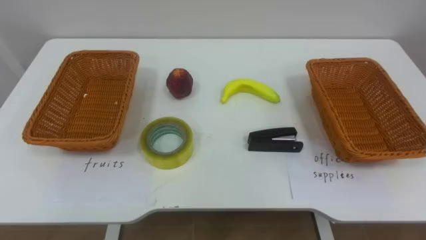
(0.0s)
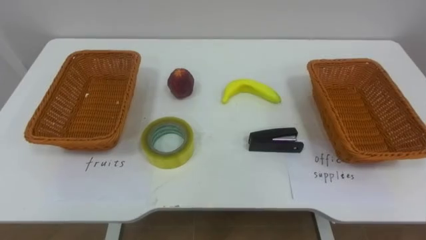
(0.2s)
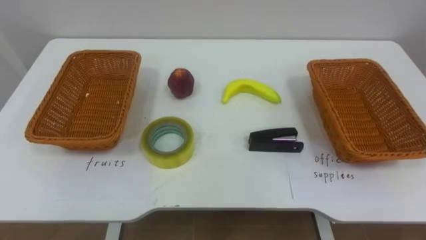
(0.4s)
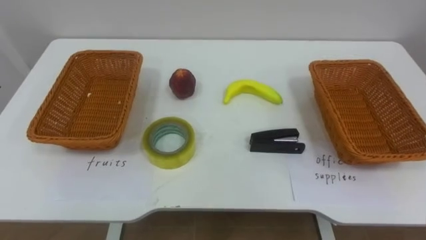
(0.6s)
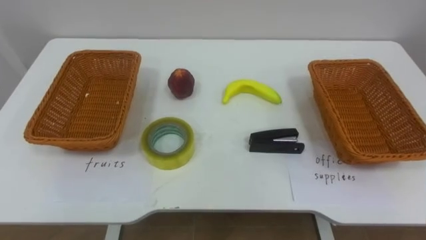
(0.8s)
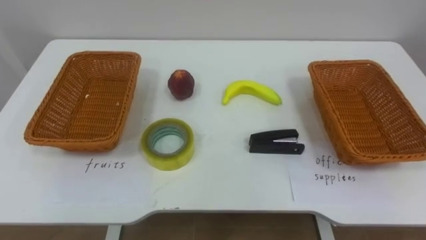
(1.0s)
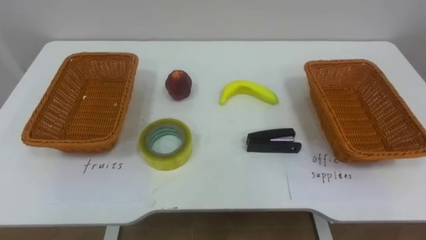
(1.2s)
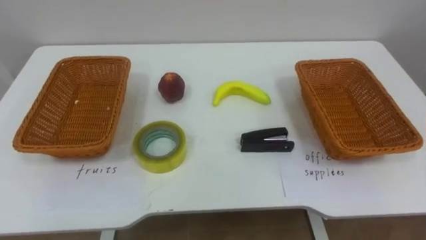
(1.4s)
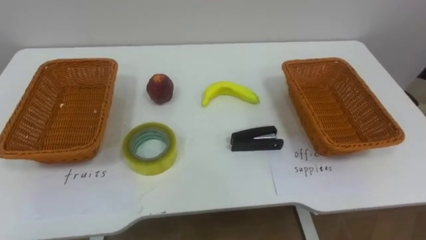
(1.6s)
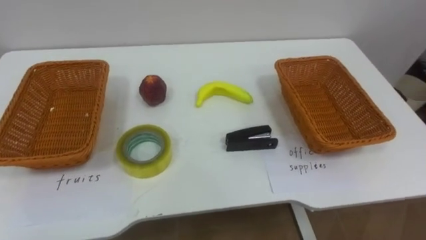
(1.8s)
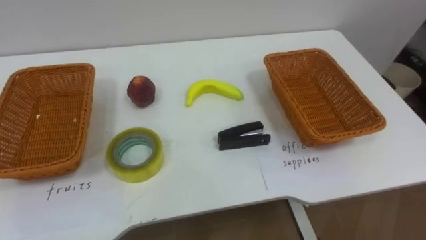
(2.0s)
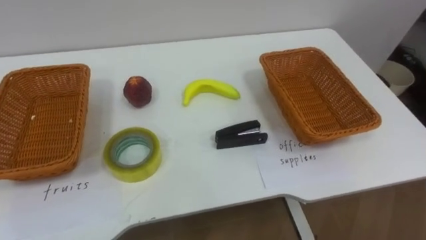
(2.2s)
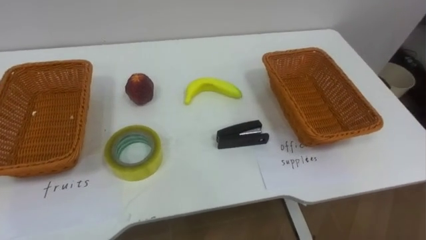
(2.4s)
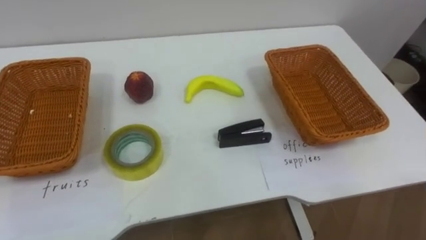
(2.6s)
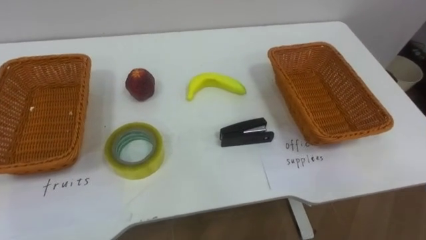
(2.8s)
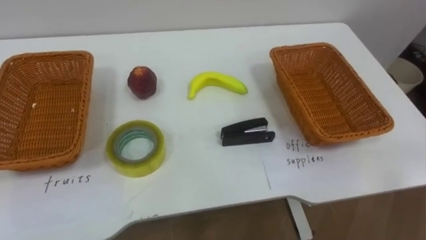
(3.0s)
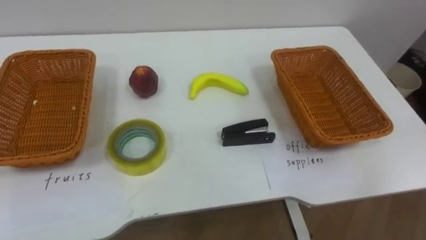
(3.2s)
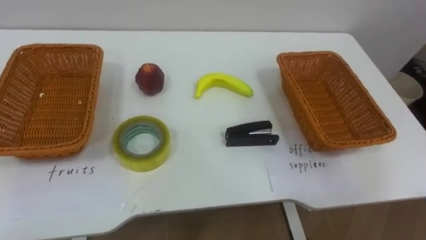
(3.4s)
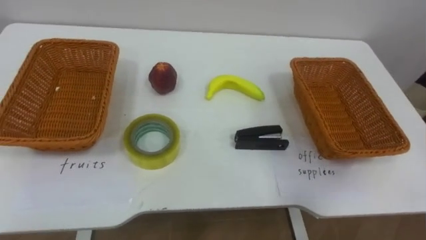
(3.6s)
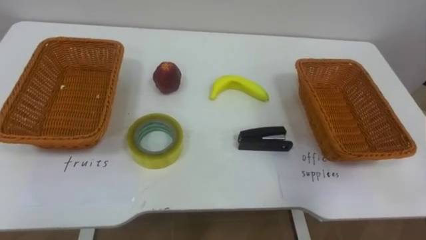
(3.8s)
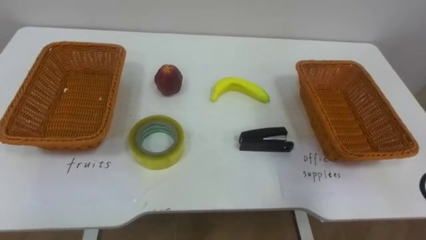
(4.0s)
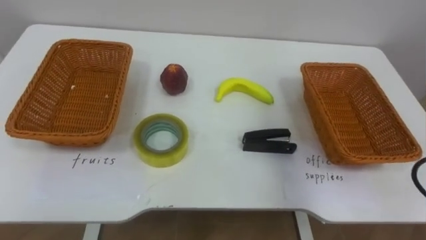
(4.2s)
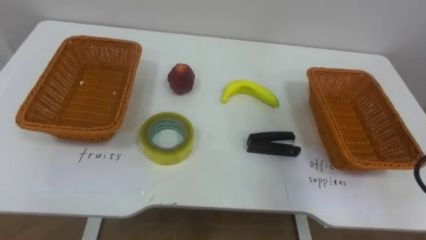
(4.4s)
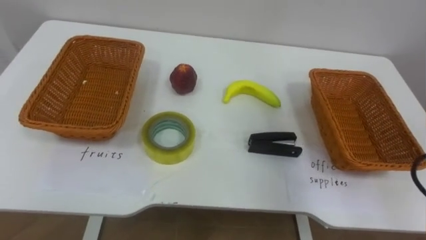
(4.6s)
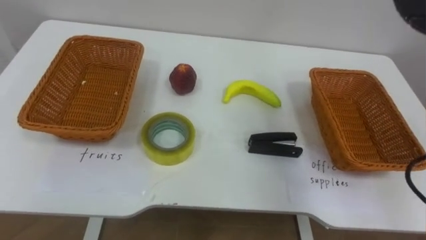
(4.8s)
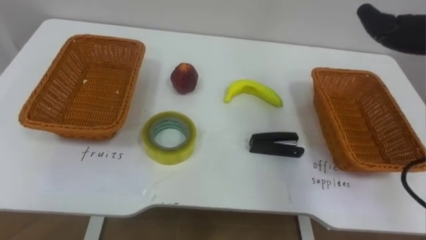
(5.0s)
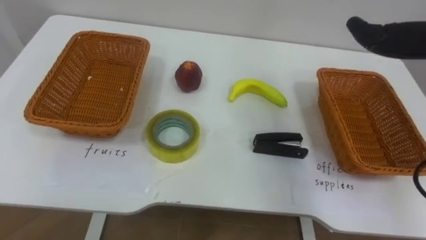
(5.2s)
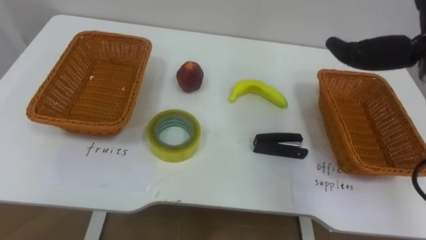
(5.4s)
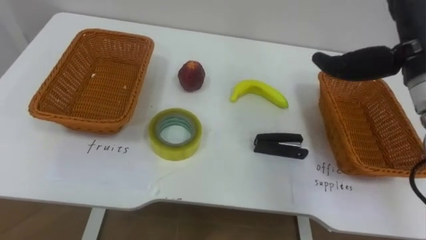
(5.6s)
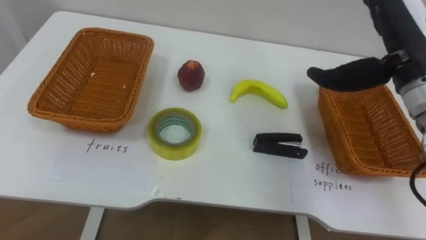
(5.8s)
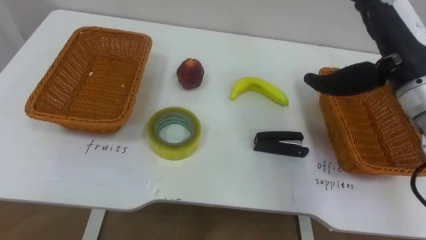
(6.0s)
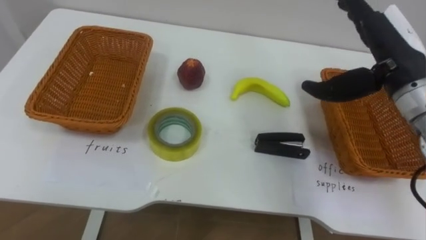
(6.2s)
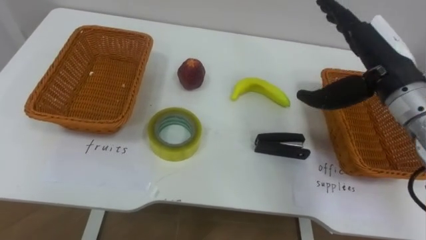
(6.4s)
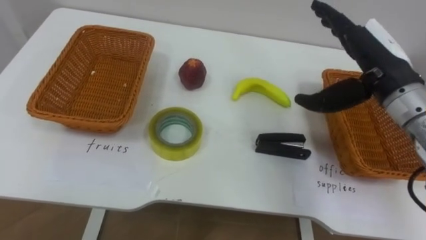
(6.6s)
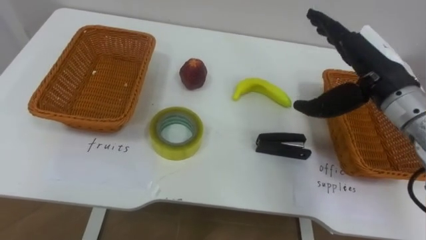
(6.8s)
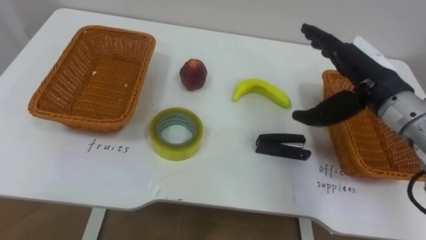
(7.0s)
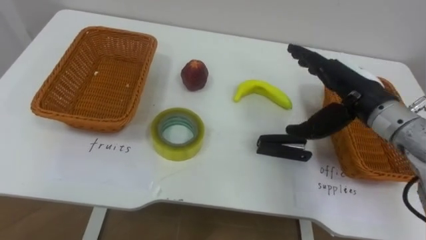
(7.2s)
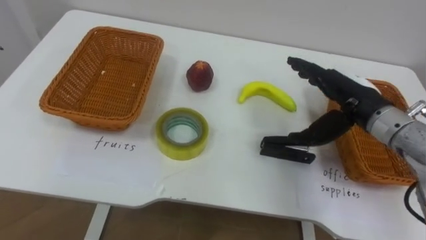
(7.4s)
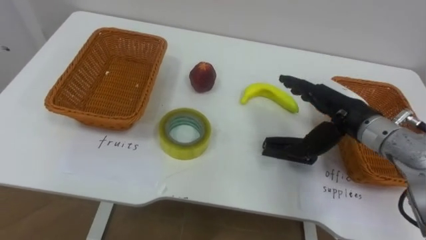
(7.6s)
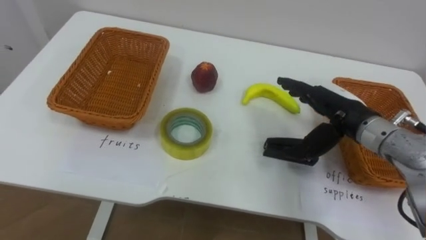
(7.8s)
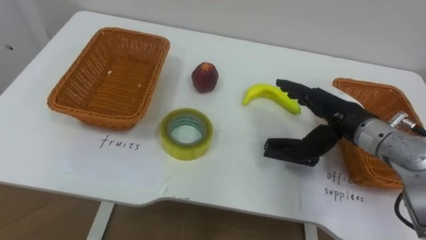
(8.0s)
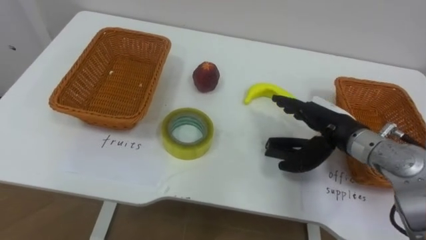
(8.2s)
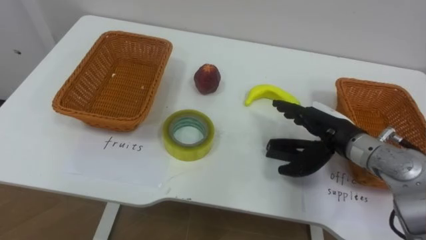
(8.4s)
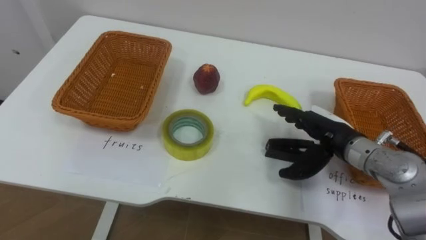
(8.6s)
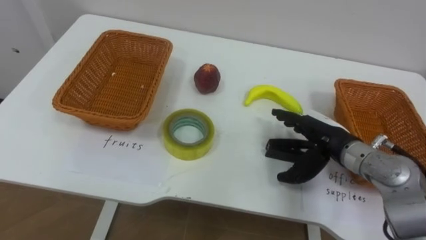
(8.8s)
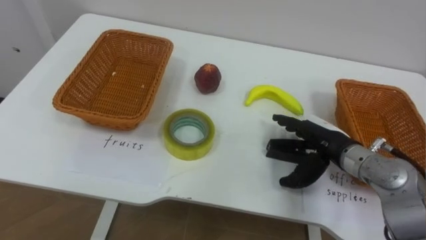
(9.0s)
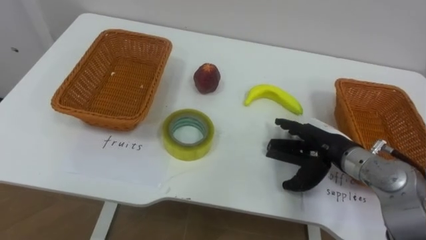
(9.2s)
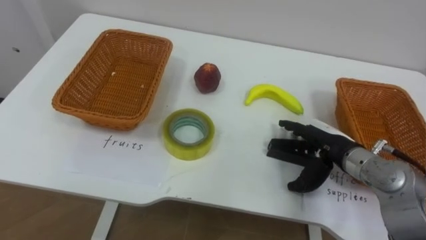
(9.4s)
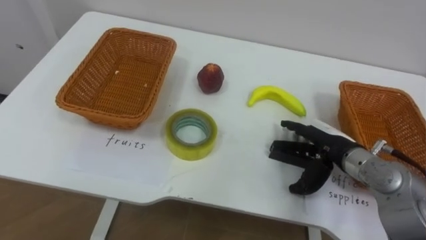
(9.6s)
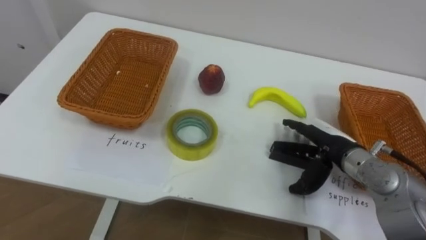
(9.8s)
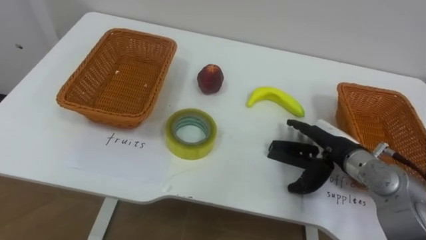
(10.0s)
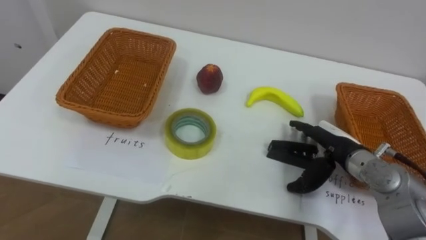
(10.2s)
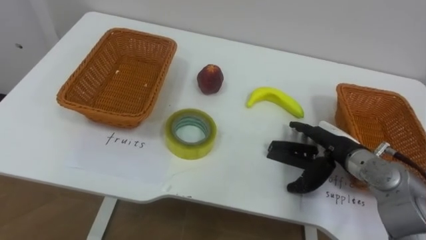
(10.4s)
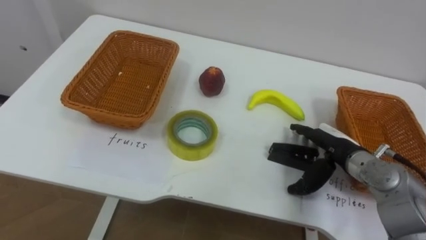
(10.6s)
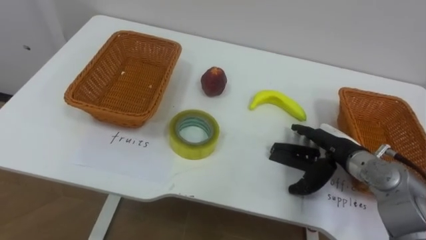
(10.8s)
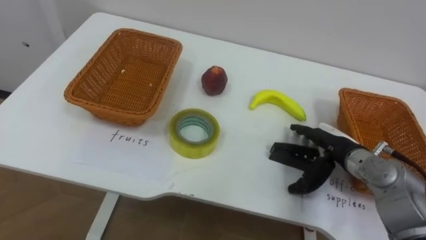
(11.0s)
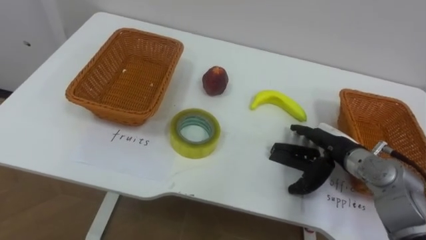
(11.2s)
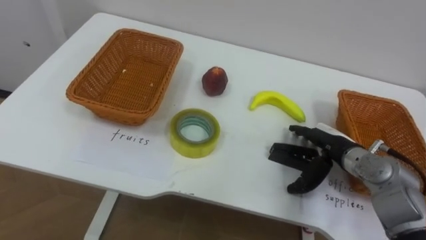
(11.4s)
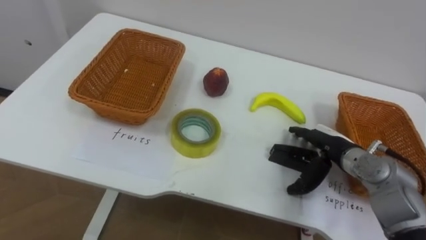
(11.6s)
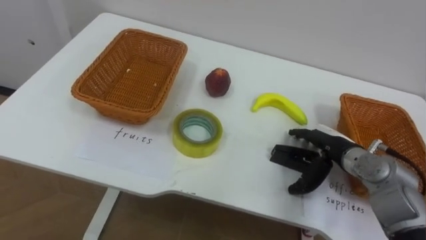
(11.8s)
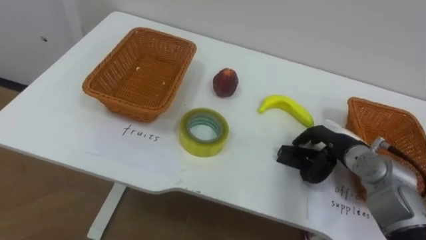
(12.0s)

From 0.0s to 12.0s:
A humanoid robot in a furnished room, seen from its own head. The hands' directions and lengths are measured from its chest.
Task of the whole recording: Separate the items on the table and place them into the two baskets.
From 6.0s to 7.6s: The right hand moves downward, some 10 cm.
From 7.6s to 9.0s: The right hand shifts some 5 cm downward.

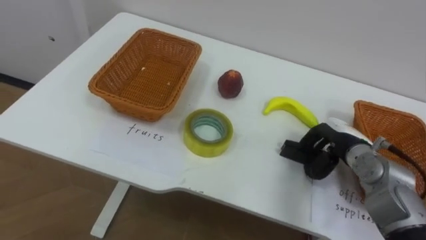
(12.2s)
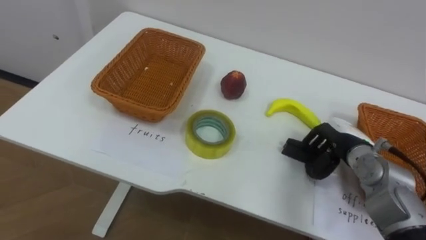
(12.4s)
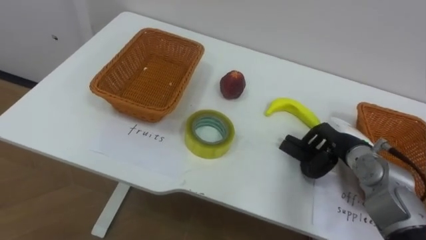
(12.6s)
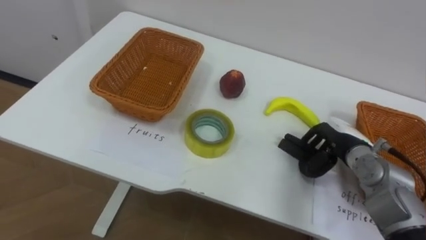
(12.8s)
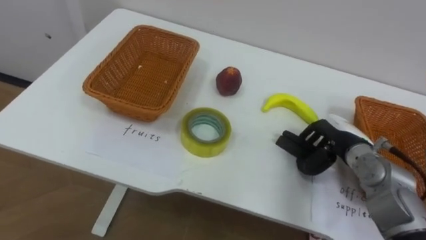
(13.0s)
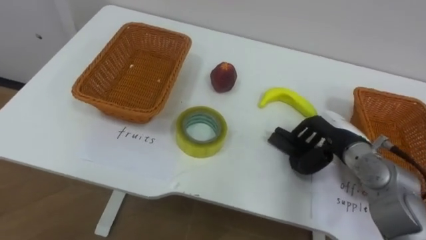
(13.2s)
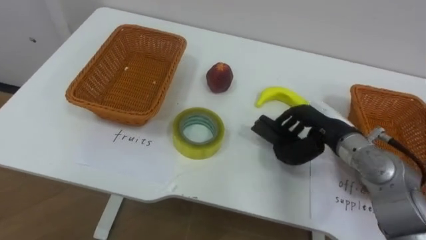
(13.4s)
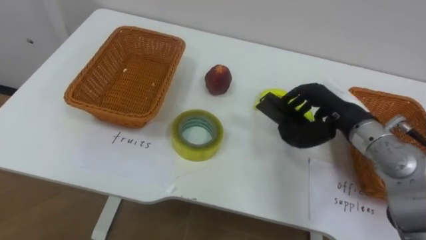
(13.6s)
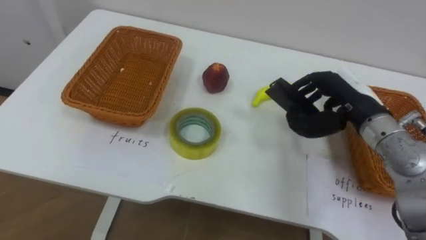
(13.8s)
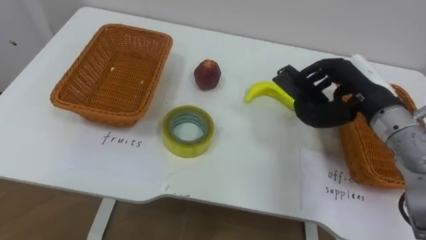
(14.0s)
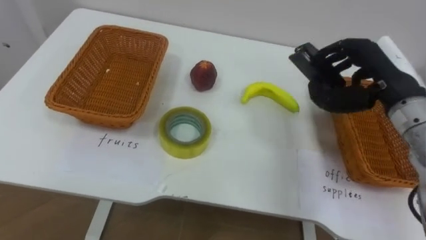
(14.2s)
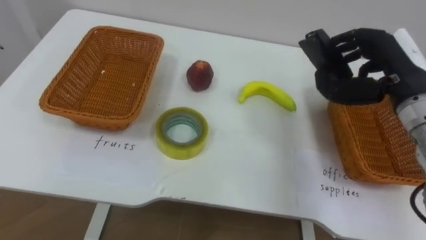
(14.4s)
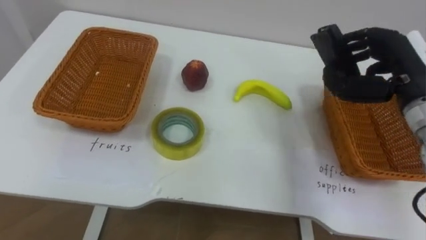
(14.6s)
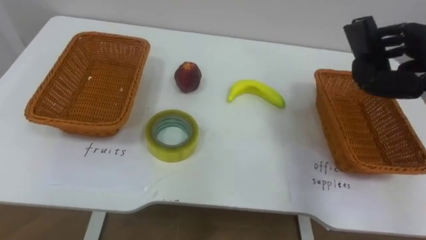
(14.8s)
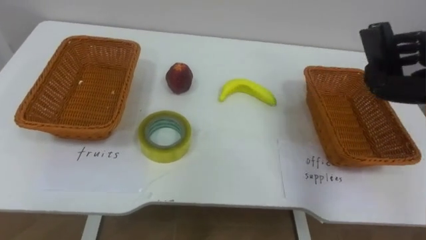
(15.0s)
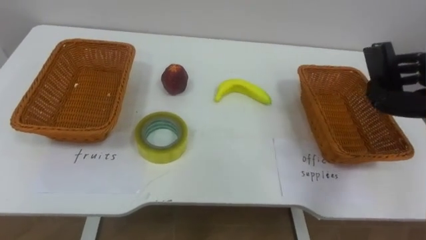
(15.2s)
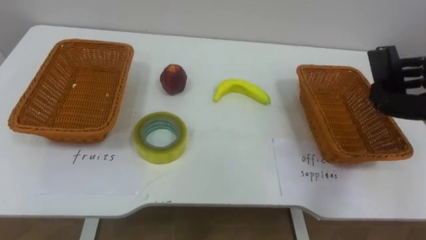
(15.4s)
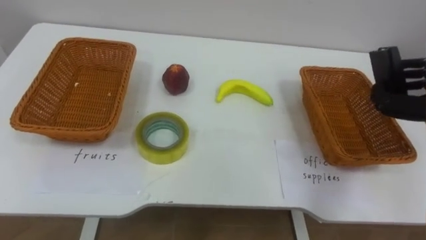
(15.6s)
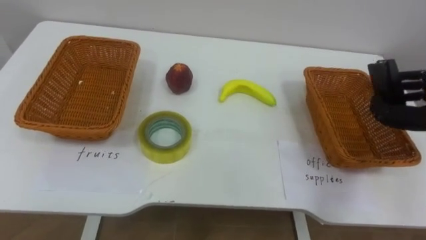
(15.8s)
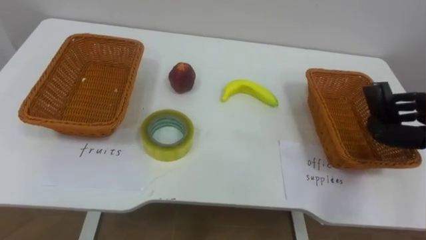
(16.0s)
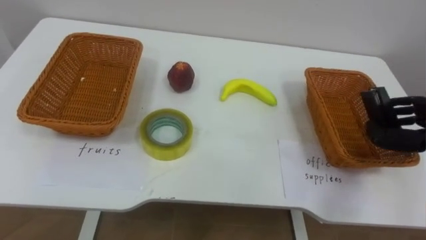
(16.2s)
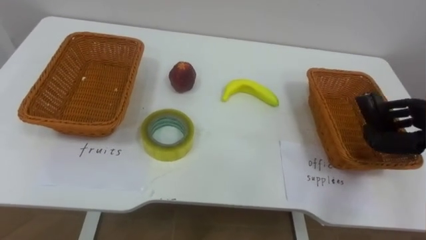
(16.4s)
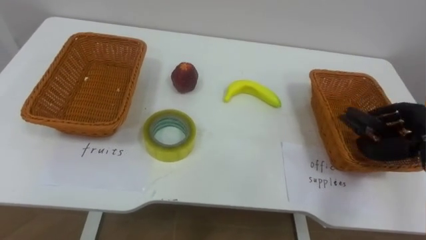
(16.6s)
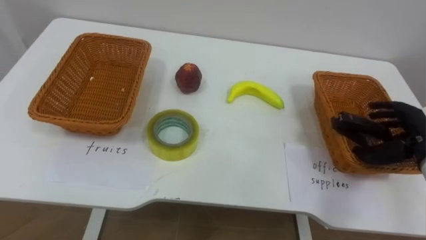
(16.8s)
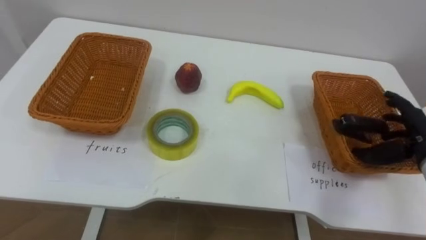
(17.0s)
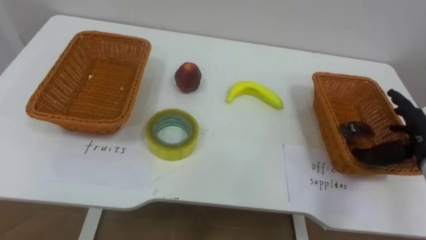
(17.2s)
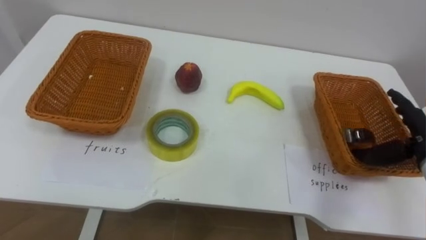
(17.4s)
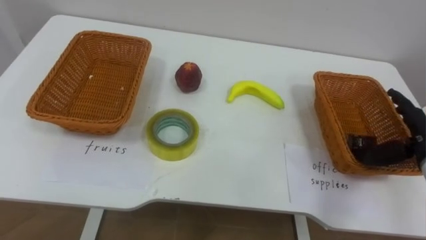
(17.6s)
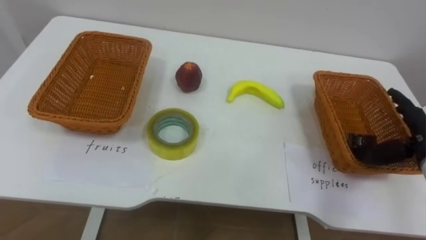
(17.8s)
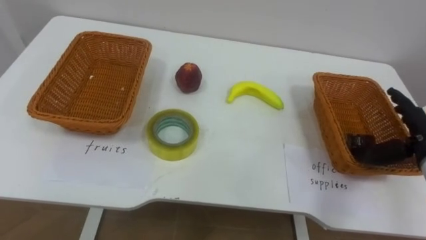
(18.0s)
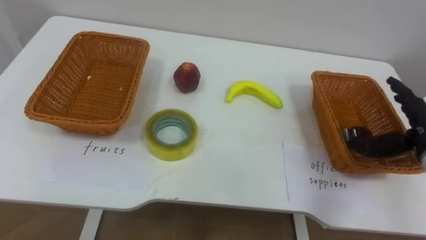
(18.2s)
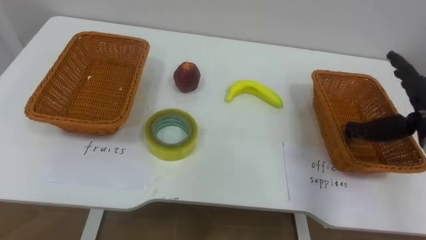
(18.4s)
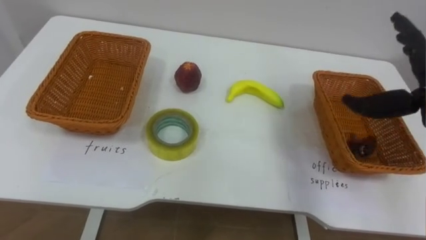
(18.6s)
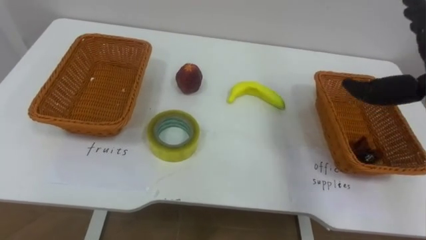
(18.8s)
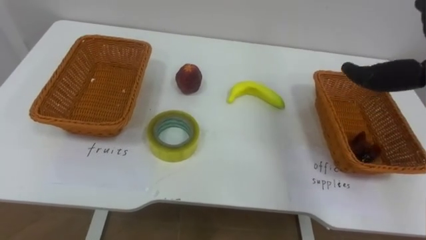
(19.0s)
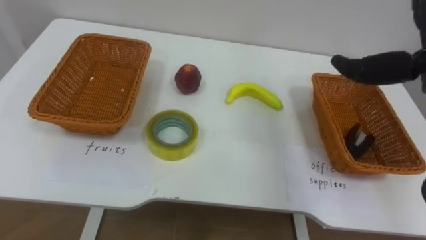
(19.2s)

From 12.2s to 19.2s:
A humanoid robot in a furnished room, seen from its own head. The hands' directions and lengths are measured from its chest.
Task of the whole recording: Separate the items on the table and place them into the two baskets.
From 12.2s to 13.6s: The right hand moves upward, approximately 10 cm.
